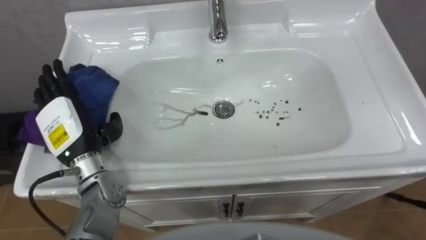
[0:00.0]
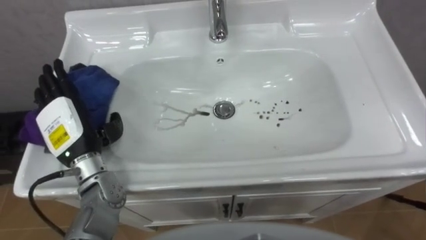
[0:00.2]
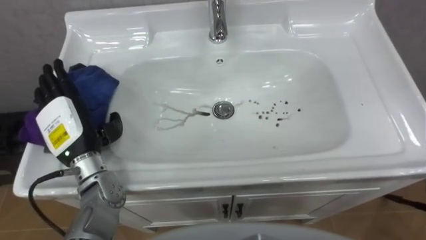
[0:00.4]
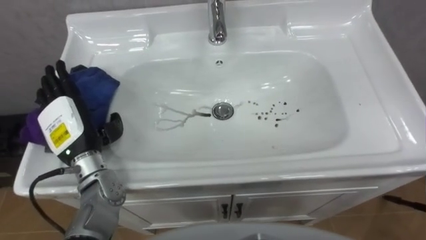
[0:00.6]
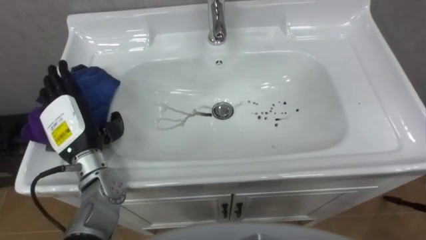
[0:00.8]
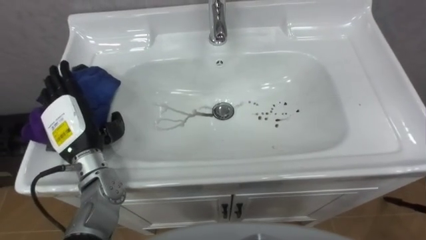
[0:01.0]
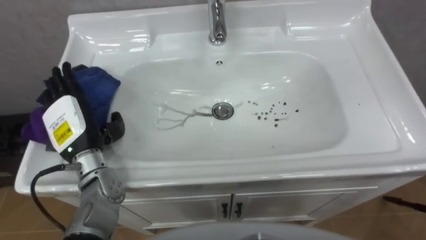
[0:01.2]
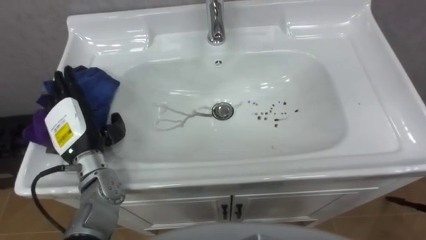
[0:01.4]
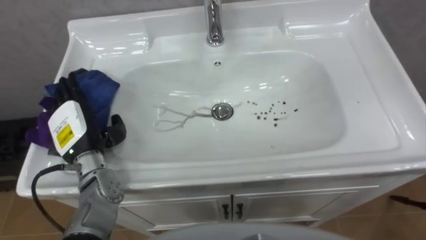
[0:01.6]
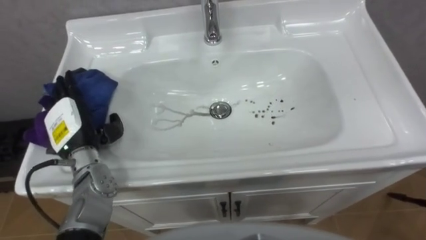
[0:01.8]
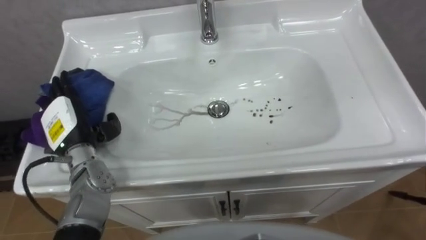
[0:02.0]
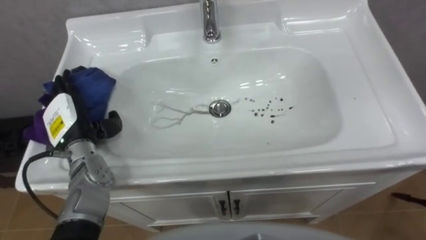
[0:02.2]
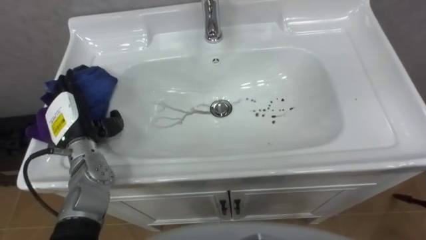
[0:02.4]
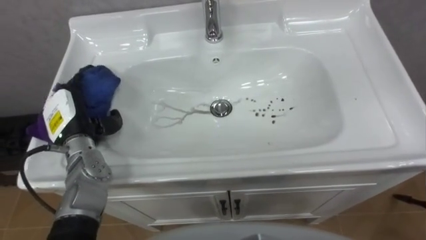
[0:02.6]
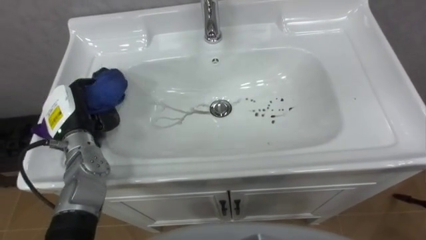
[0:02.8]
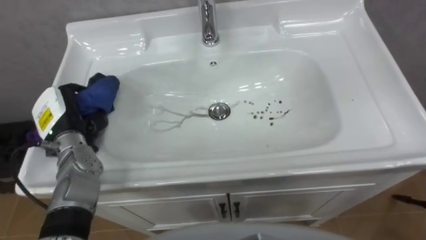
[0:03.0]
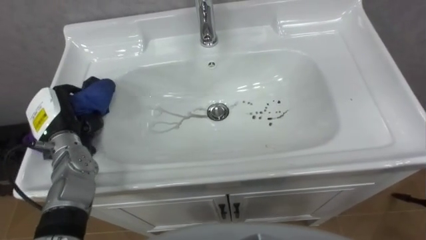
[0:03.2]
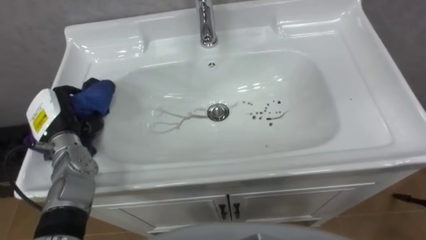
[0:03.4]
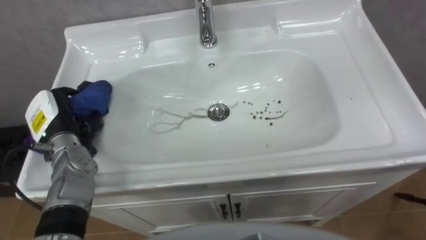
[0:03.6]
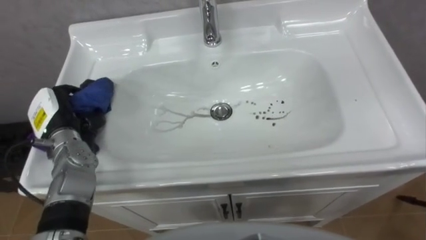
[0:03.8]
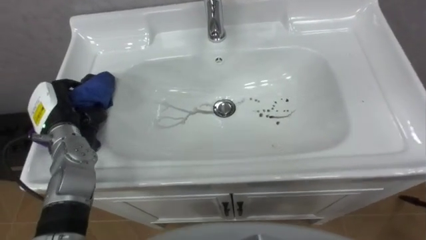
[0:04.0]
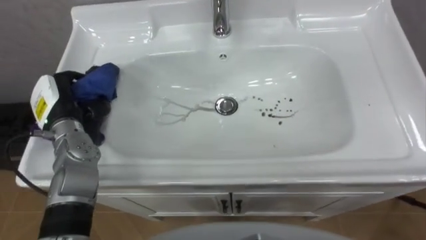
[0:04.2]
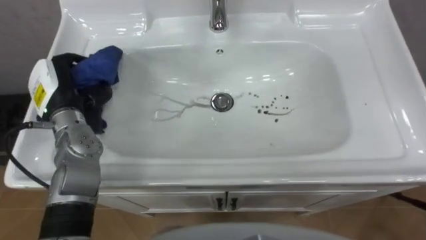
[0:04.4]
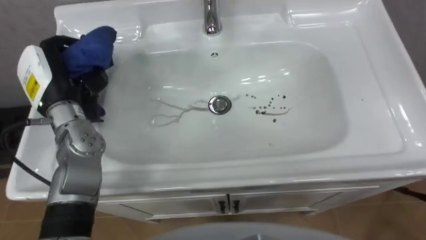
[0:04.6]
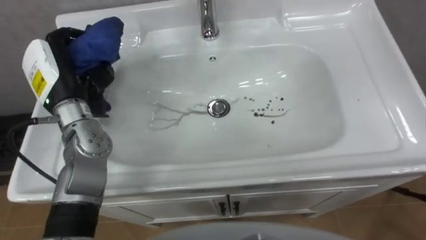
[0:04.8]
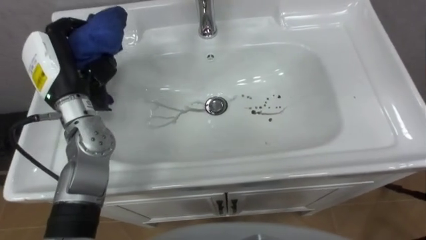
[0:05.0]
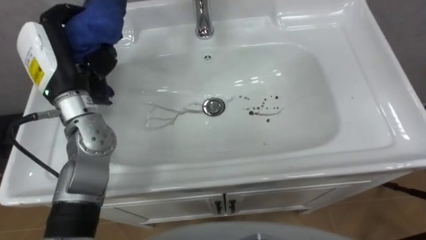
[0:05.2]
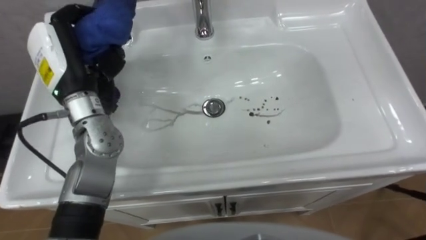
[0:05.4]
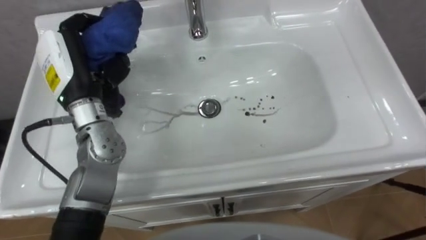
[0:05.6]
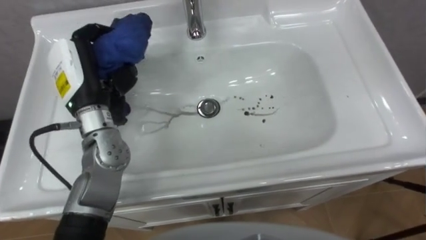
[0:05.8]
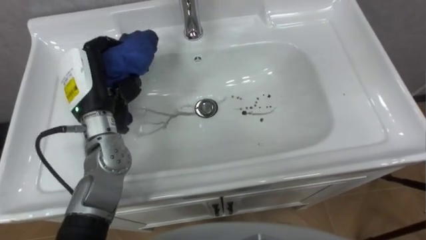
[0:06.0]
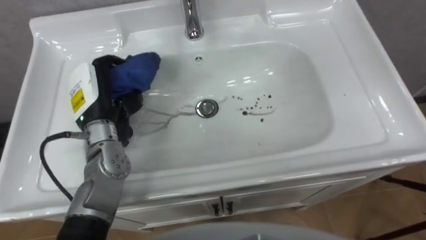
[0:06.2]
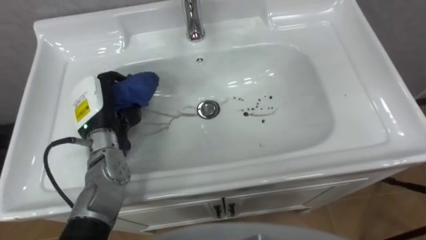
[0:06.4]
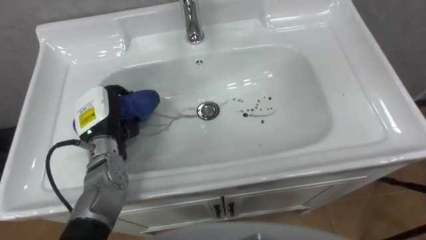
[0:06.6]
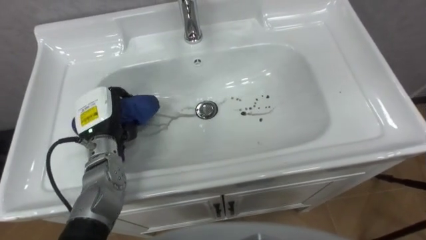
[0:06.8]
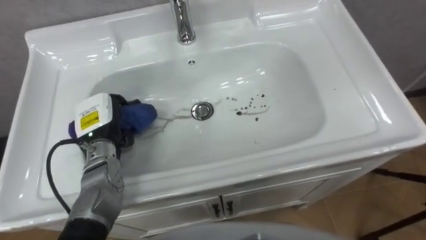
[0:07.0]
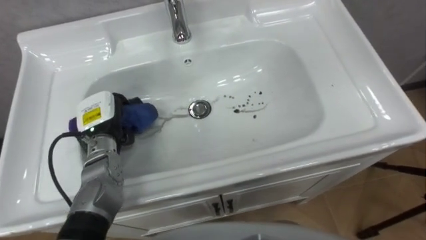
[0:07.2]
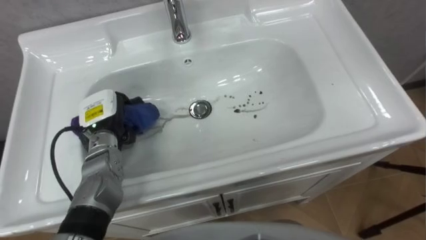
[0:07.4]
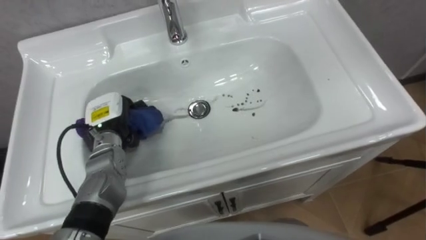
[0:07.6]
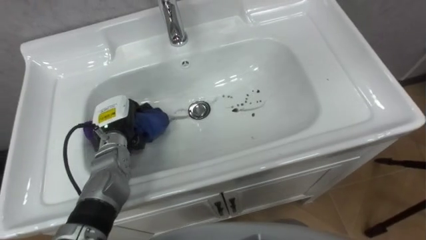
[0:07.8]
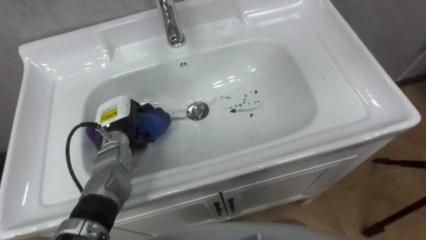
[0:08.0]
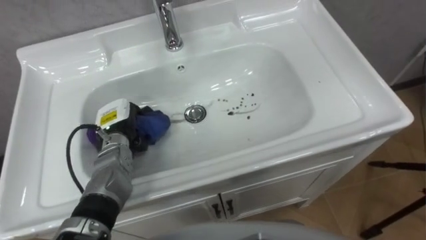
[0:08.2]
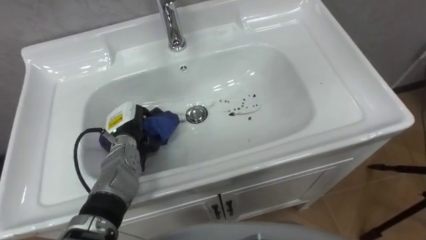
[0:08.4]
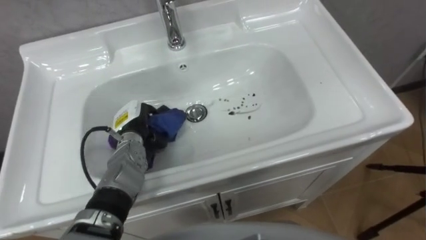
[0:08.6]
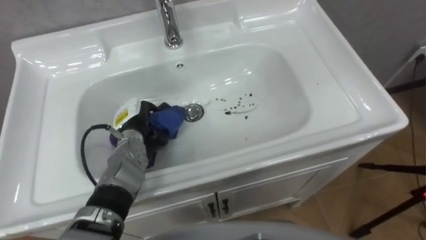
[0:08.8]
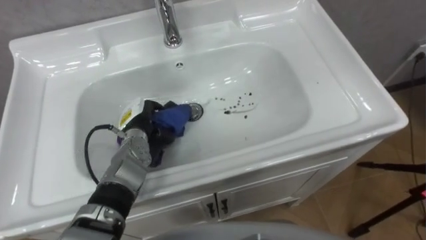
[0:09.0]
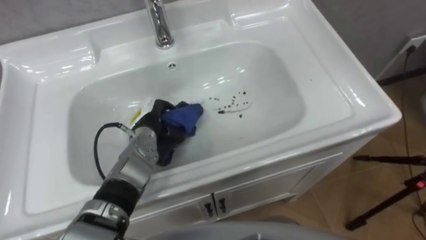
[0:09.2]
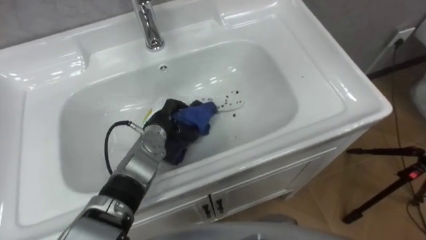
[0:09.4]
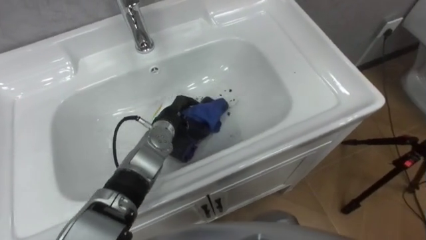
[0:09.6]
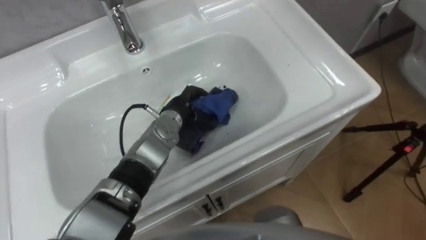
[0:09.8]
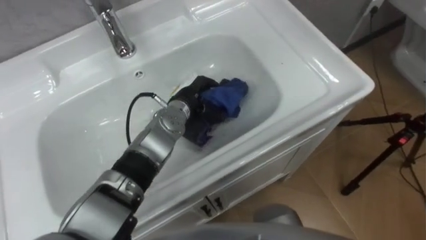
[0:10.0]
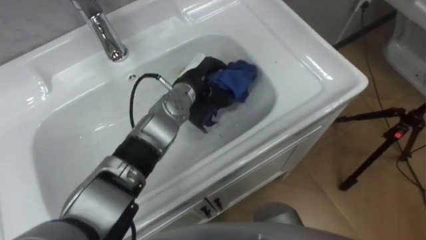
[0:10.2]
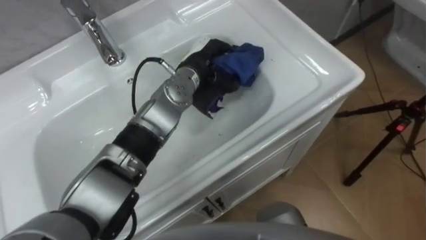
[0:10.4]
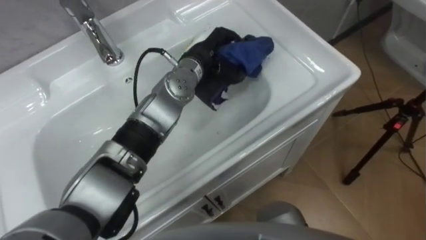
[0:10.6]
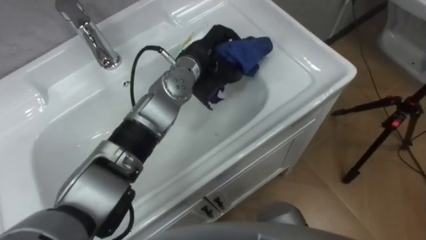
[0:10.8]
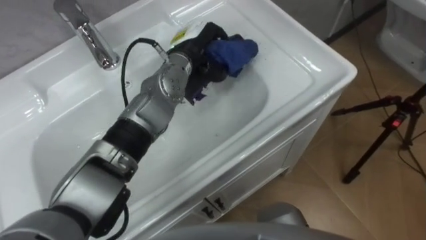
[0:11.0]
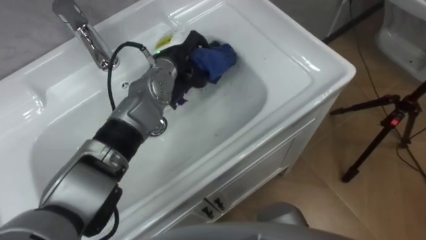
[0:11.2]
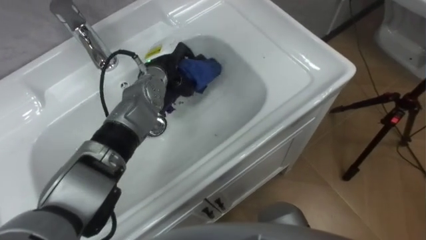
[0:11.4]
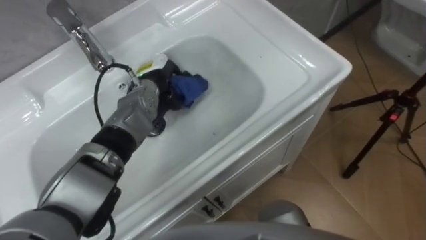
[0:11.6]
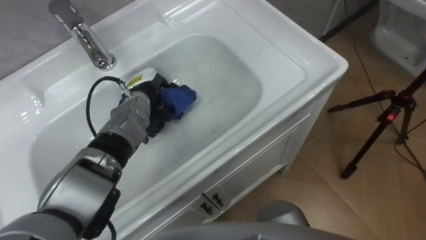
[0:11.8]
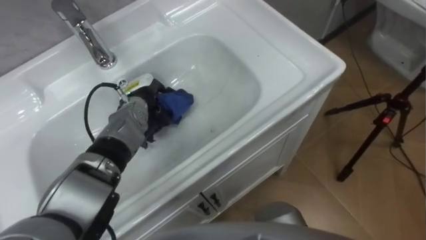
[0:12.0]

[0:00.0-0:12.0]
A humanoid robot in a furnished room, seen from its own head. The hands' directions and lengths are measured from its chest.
Task of the whole recording: Use the cloth on the right to wipe away the black stain in the sink.
0:01.6 to 0:03.0: The left hand closes its fingers.
0:03.0 to 0:04.4: The left hand heads upward, covering roughly 5 cm.
0:04.4 to 0:06.0: The left hand travels to the right by about 5 cm.
0:06.0 to 0:07.6: The left hand shifts about 10 cm downward.
0:07.6 to 0:09.0: The left hand shifts roughly 5 cm to the right.
0:09.0 to 0:10.4: The left hand is displaced to the right, upward and forward by about 20 cm.
0:10.4 to 0:12.0: The left hand goes about 15 cm to the left and downward.

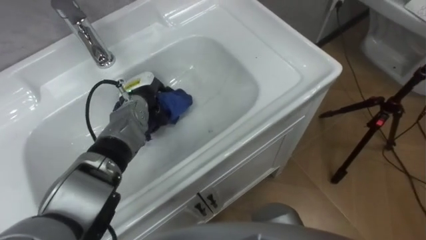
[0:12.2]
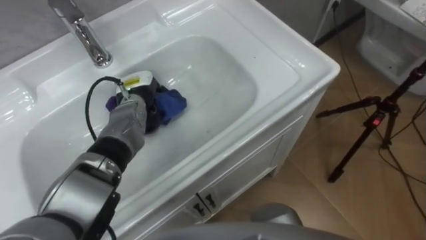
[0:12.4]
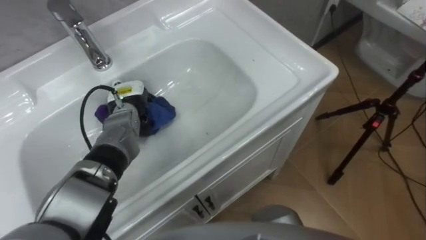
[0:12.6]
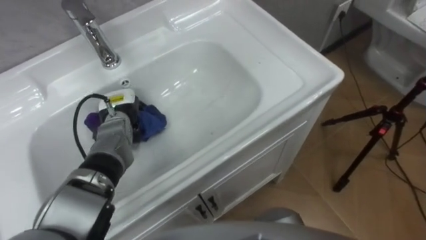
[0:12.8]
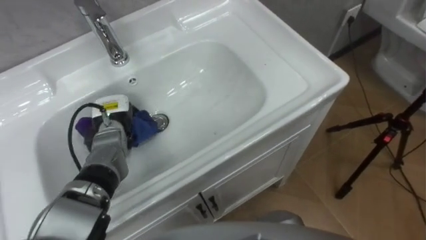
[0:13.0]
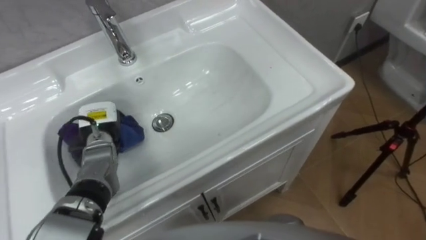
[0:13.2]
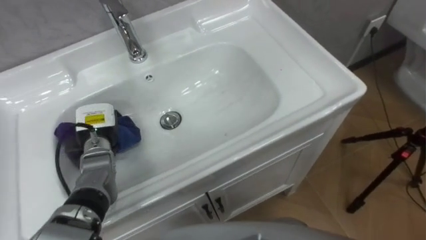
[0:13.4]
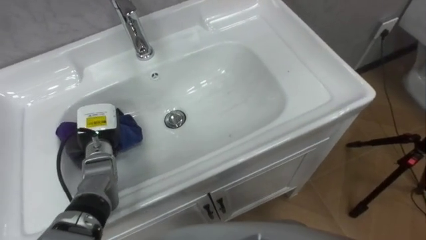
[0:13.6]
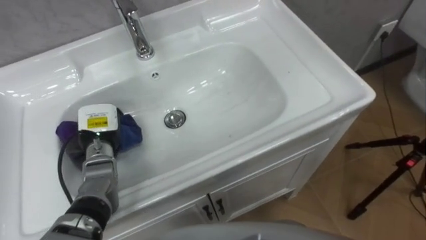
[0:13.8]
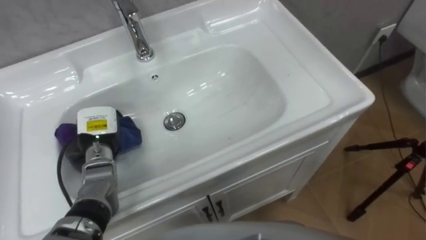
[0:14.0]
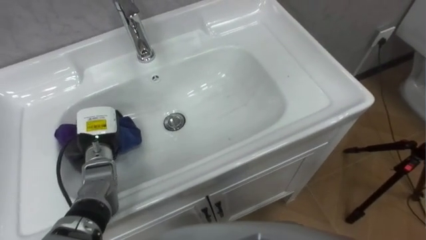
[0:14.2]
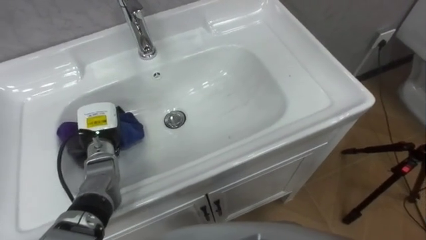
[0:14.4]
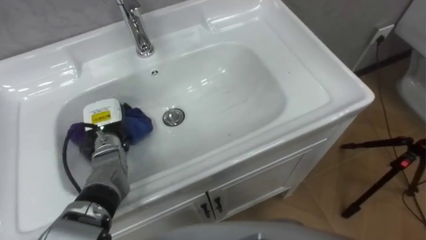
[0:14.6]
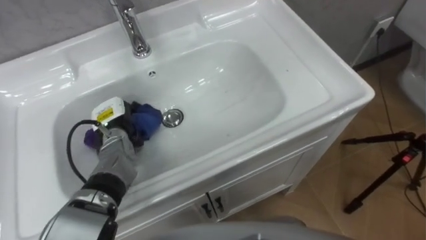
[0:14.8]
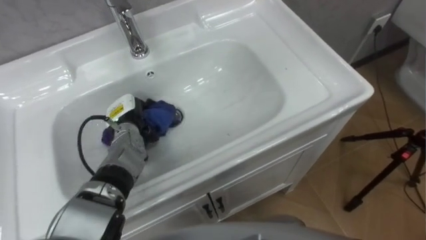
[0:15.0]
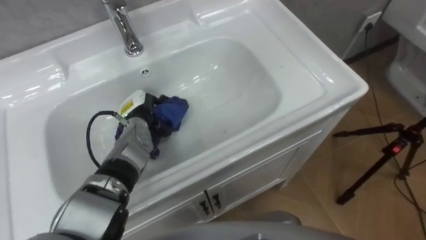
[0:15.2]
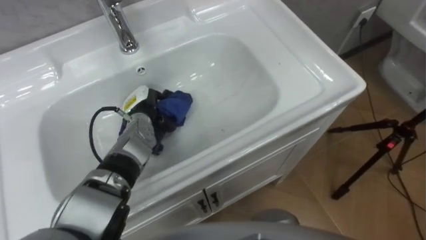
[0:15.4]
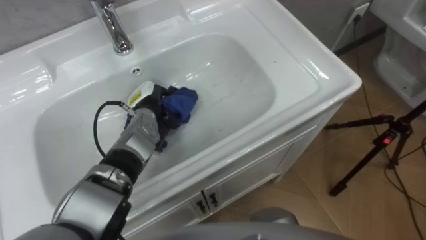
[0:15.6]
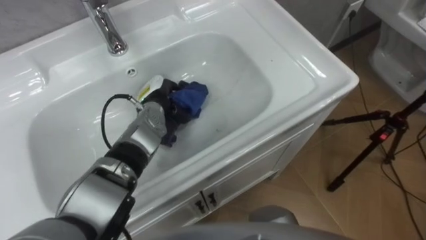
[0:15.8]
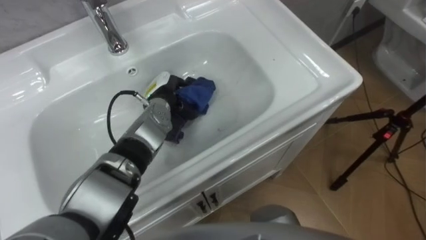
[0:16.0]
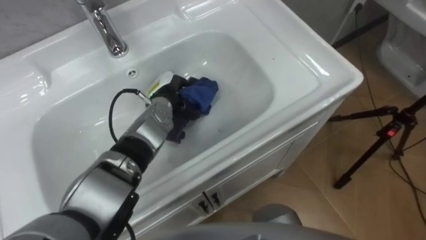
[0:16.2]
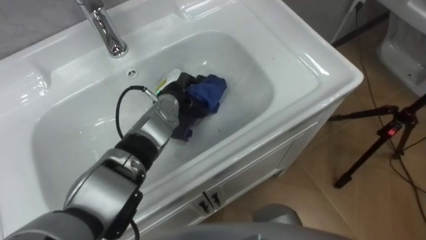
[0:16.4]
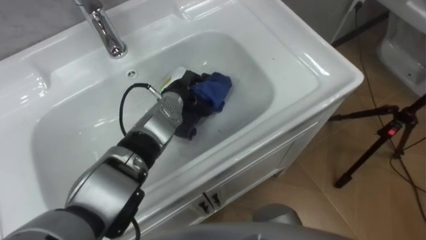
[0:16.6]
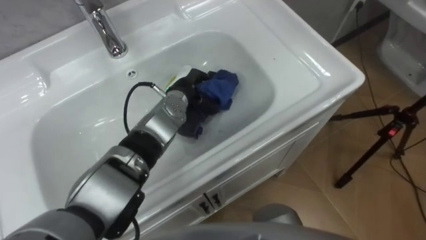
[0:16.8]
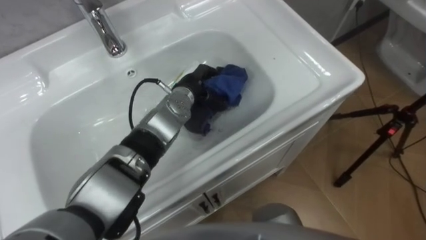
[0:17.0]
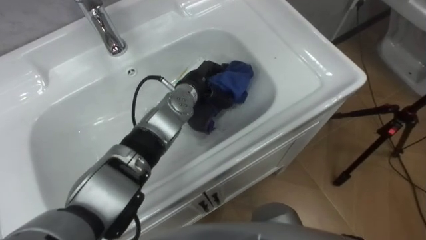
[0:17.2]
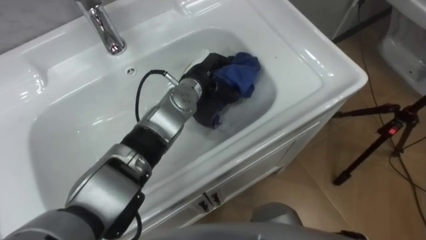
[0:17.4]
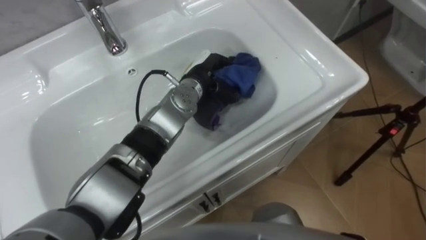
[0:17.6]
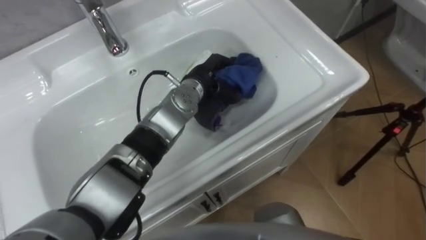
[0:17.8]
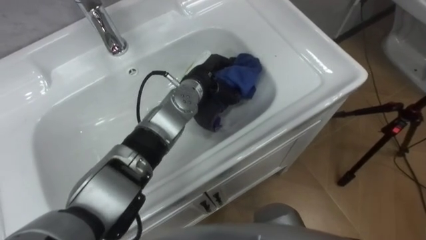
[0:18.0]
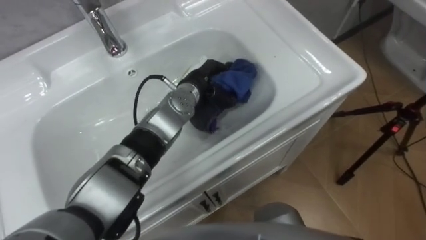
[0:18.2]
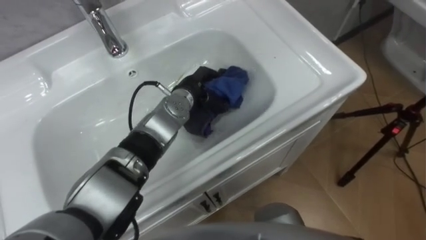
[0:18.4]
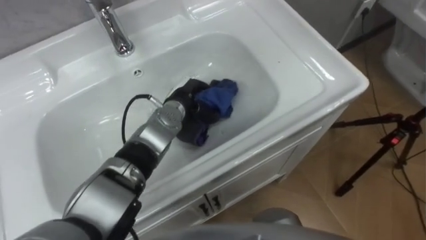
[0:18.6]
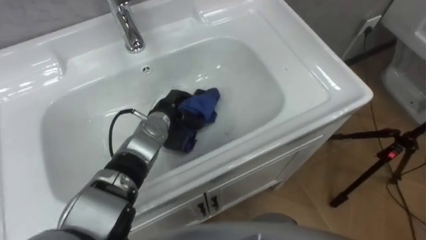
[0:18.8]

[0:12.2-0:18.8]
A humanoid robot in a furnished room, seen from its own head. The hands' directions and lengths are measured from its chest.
Task of the whole recording: Use the cloth on the right to wipe away the black stain in the sink.
0:12.2 to 0:13.8: The left hand is displaced to the left and backward by some 15 cm.
0:13.8 to 0:15.4: The left hand goes some 10 cm to the right and forward.
0:15.4 to 0:17.2: The left hand travels to the right and upward by some 15 cm.
0:17.2 to 0:18.8: The left hand heads to the left and downward, covering about 10 cm.
